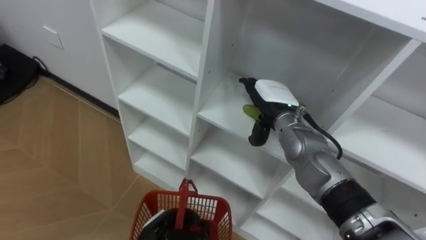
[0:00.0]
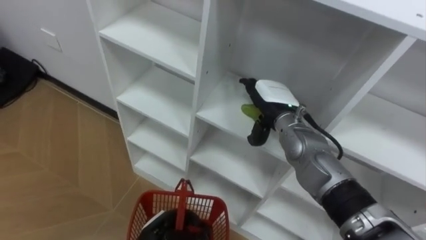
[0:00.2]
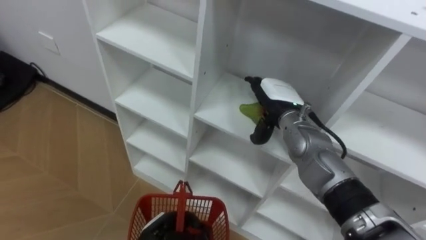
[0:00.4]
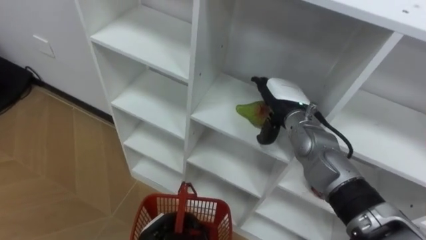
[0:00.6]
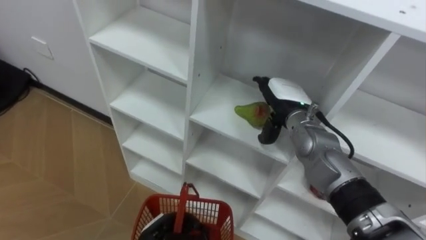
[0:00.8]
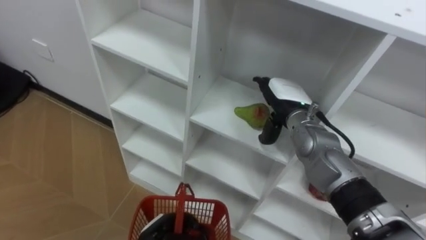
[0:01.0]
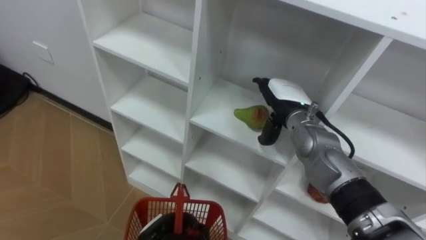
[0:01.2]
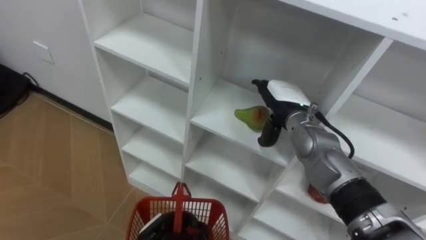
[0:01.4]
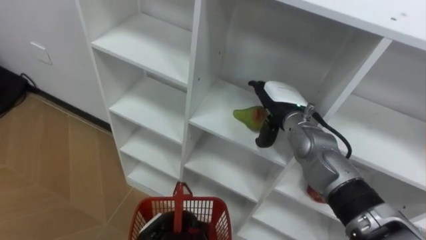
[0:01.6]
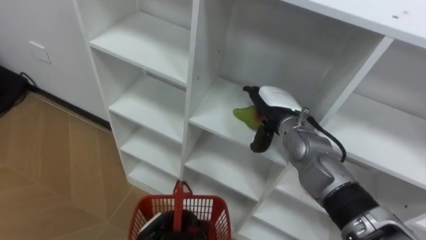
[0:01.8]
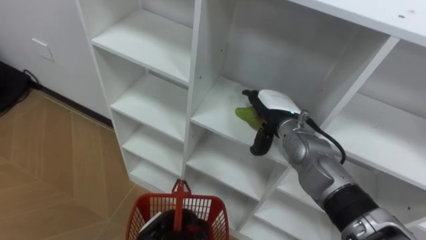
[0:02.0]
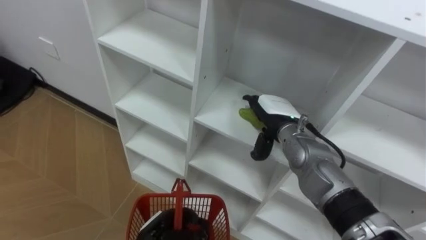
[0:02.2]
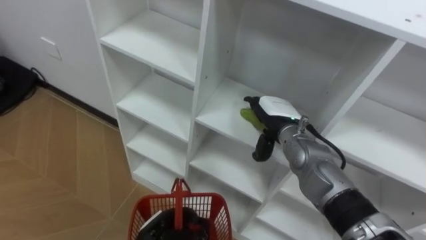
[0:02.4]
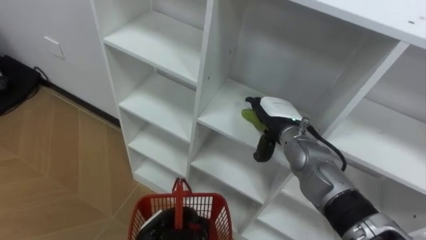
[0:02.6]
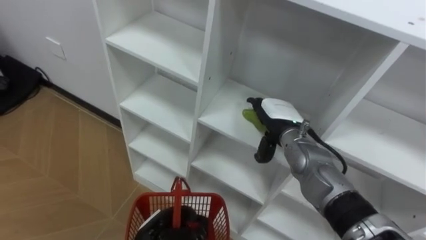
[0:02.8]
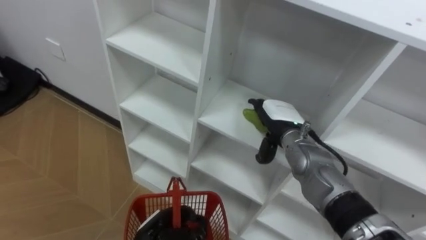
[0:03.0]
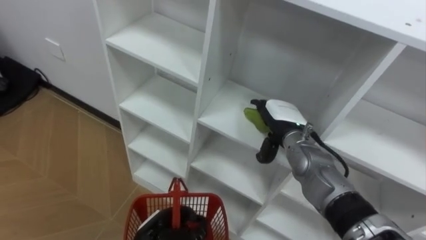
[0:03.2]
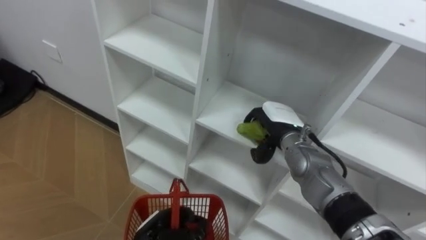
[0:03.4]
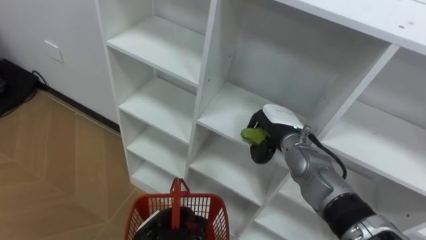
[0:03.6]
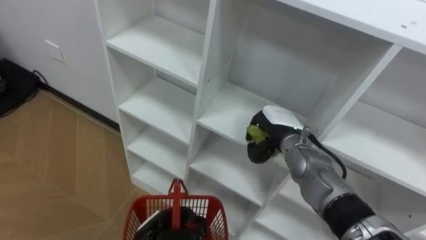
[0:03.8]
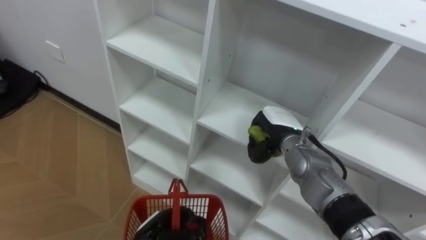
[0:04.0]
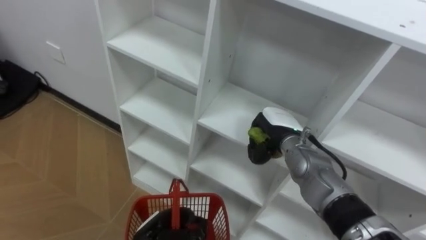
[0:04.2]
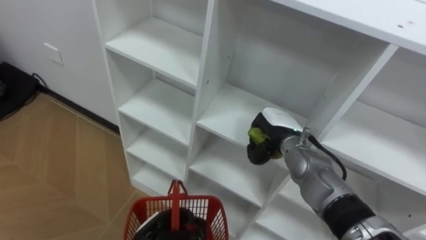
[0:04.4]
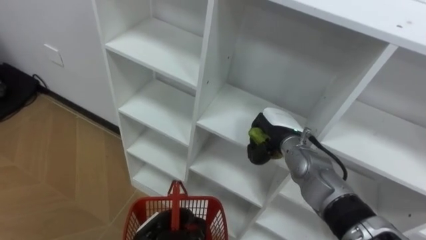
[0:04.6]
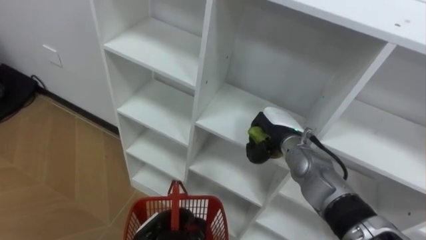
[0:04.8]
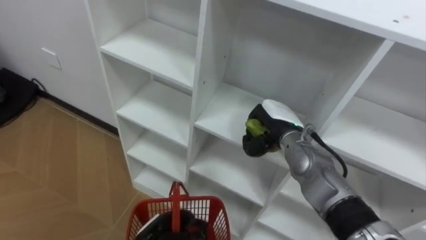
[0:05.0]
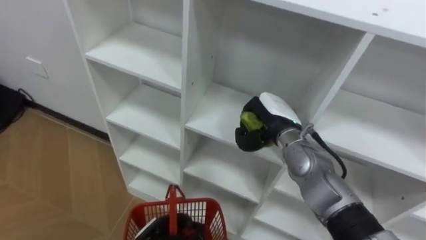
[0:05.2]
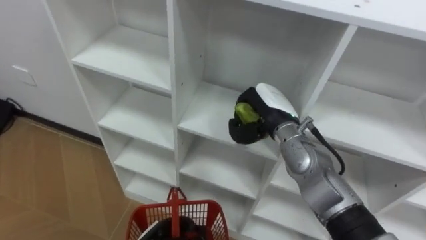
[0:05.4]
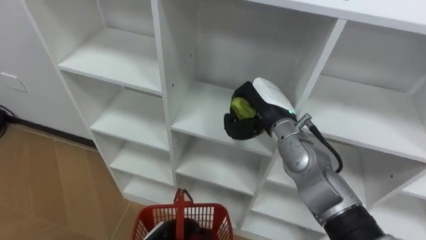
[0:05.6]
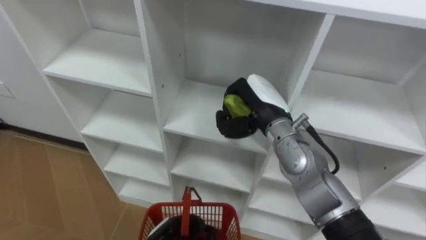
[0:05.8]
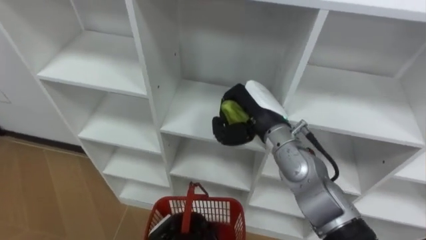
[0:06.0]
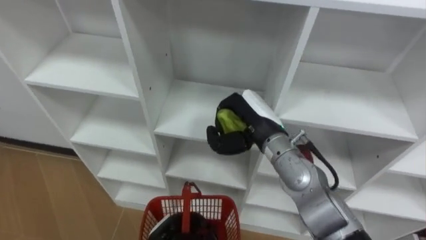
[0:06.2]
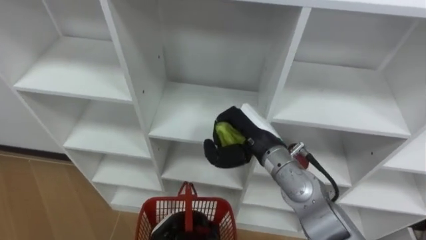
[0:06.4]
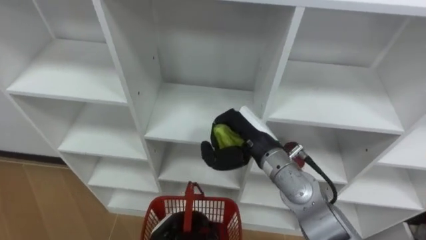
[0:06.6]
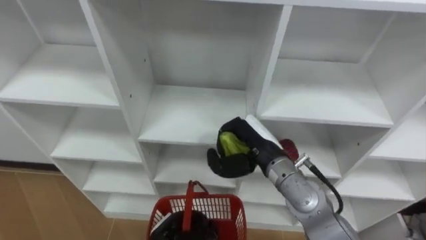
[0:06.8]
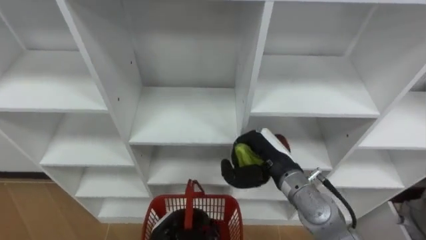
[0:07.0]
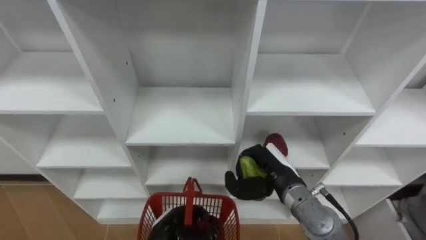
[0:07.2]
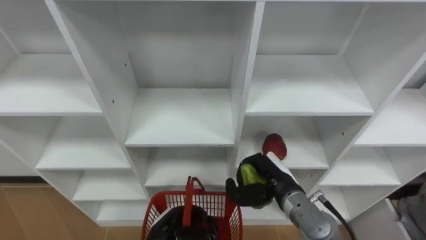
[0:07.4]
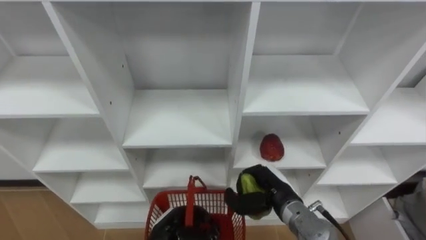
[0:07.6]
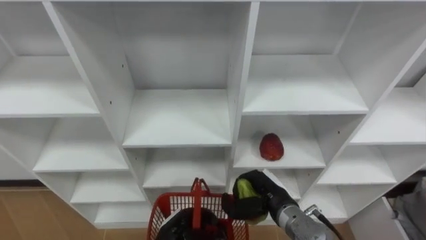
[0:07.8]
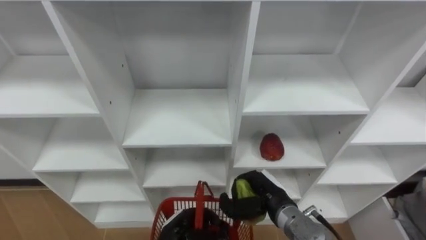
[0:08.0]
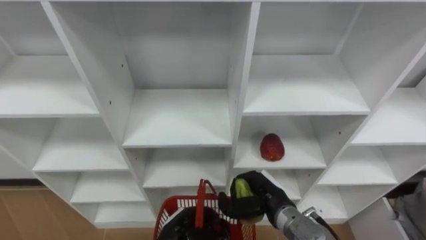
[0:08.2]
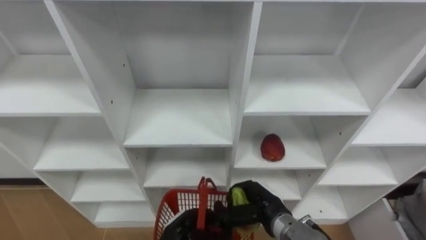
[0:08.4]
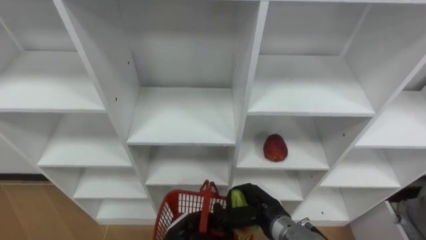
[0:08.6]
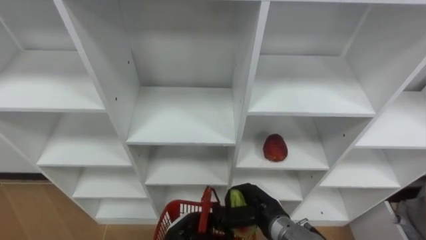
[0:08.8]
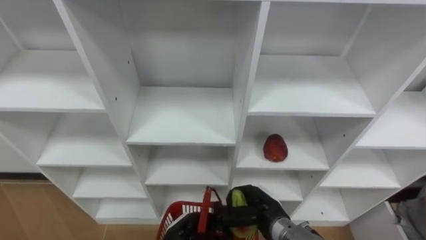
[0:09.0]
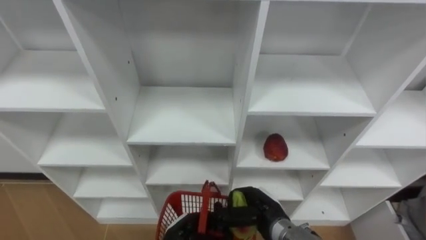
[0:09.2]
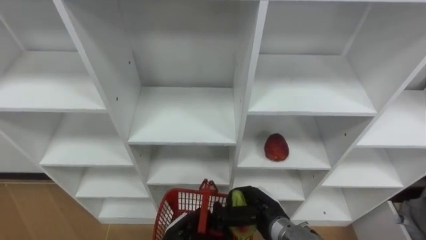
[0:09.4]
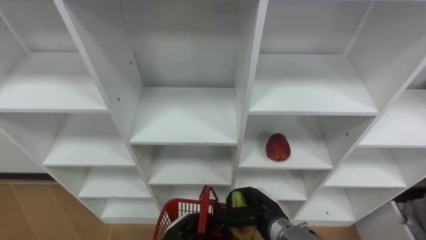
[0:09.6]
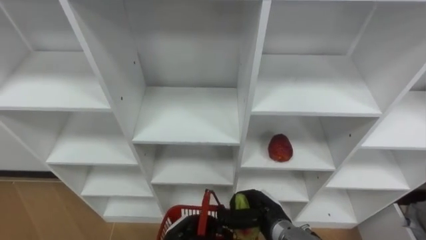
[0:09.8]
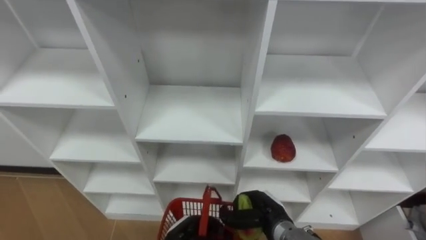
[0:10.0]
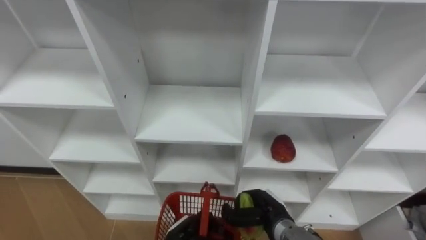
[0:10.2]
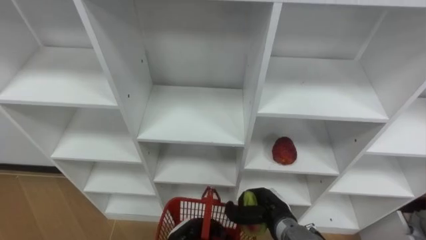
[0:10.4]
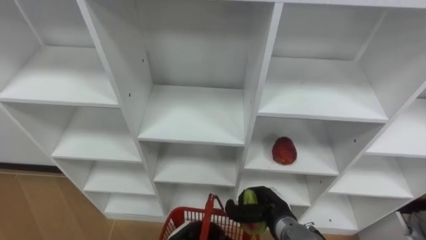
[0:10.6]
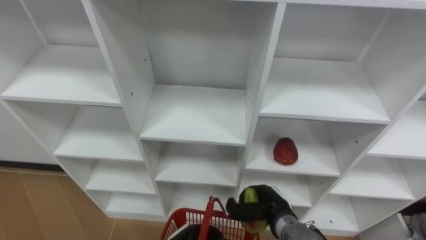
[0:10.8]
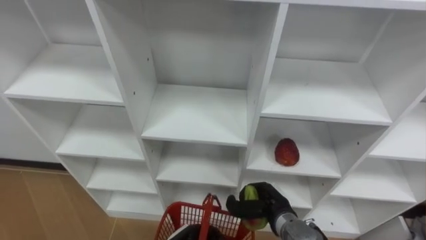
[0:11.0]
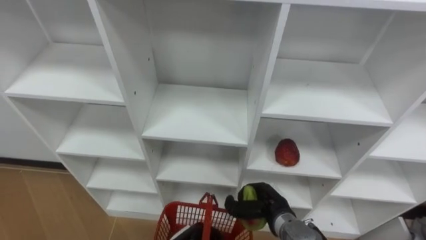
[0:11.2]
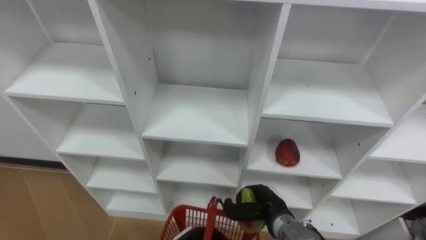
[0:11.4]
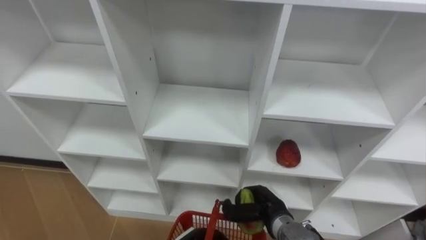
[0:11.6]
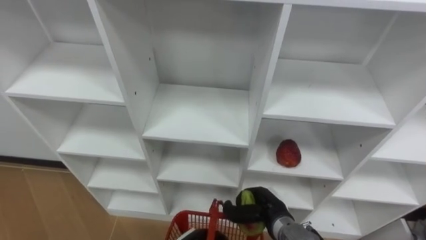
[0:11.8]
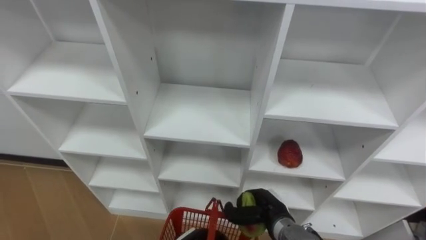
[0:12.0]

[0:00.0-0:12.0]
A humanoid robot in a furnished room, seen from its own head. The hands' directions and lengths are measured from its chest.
Task of the whole recording: Hold the basket and collect the fruits from 3 different cells of the closet into it.
0:03.0 to 0:04.4: The right hand closes.
0:04.4 to 0:06.0: The right hand heads upward, covering some 10 cm.
0:06.0 to 0:07.6: The right hand shifts roughly 15 cm downward and backward.
0:07.6 to 0:09.0: The right hand moves approximately 5 cm.

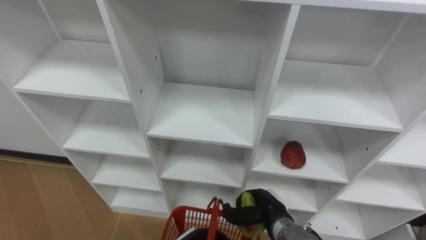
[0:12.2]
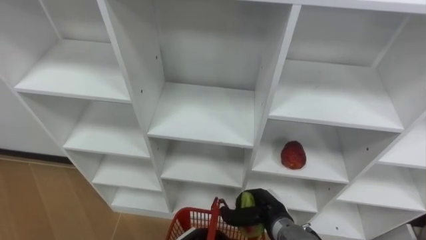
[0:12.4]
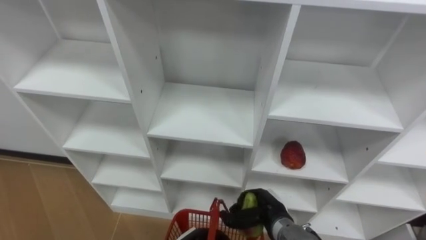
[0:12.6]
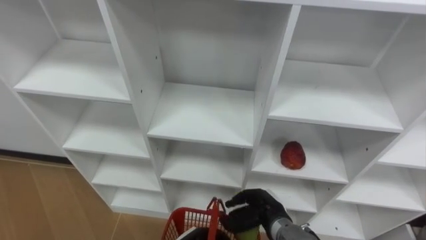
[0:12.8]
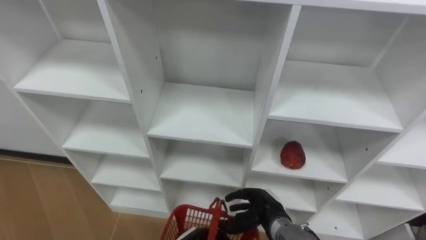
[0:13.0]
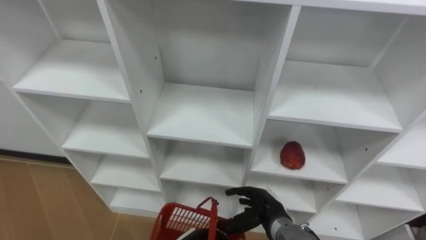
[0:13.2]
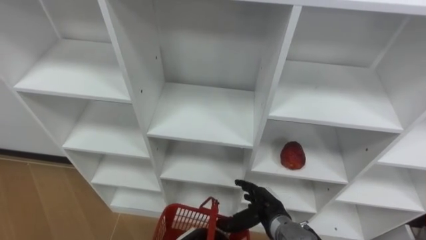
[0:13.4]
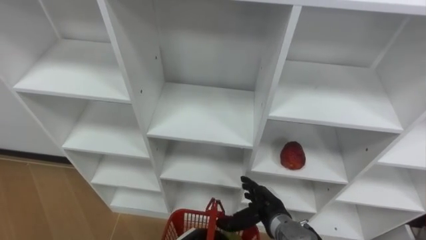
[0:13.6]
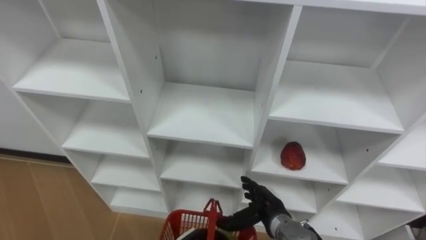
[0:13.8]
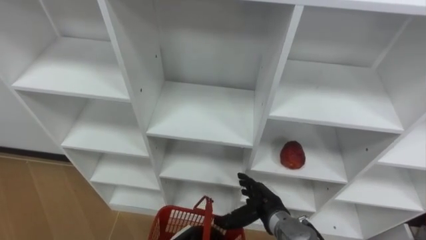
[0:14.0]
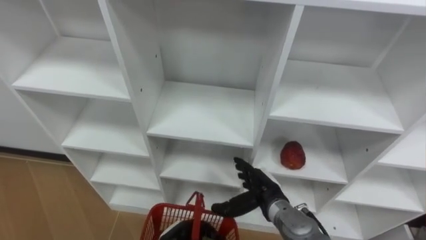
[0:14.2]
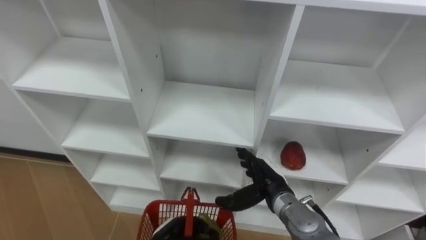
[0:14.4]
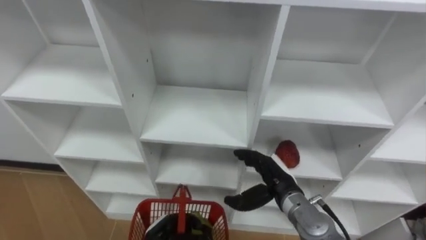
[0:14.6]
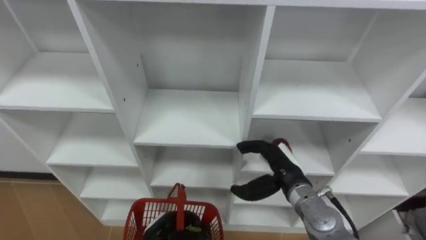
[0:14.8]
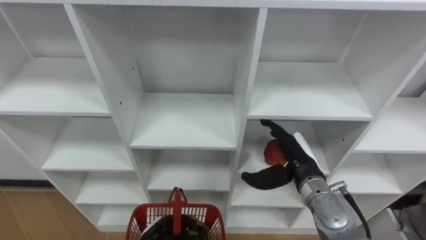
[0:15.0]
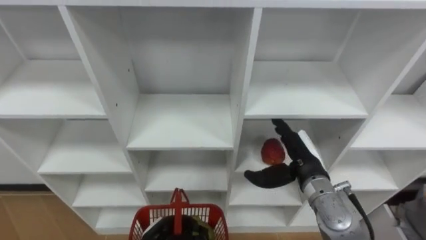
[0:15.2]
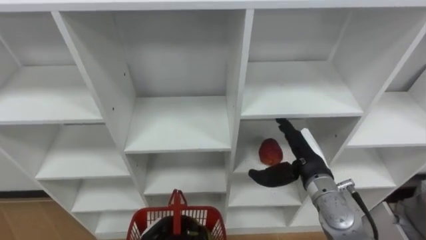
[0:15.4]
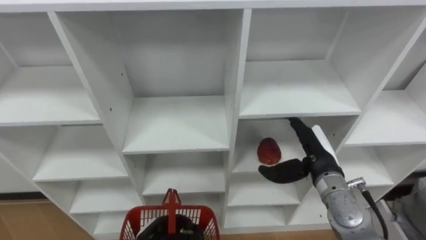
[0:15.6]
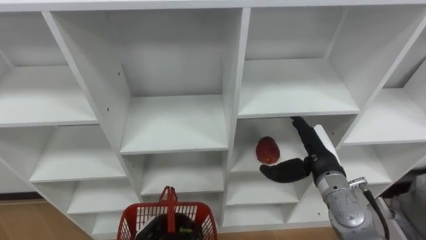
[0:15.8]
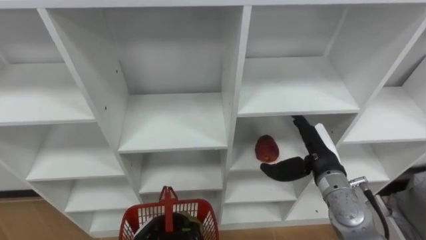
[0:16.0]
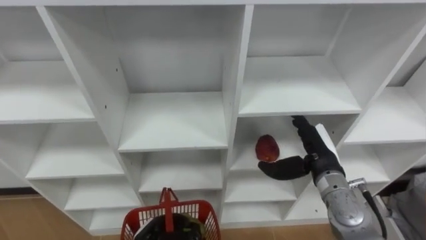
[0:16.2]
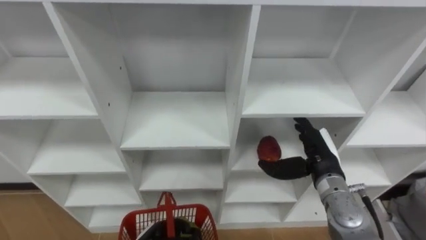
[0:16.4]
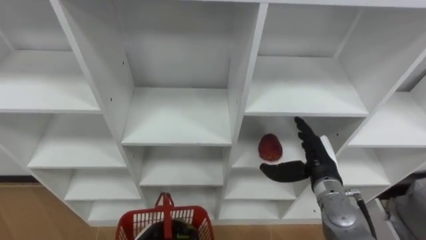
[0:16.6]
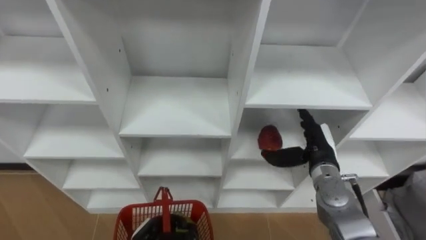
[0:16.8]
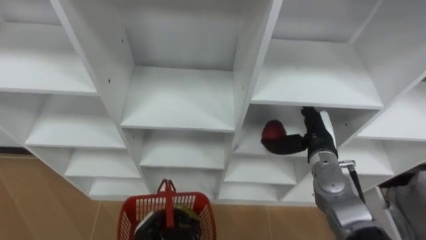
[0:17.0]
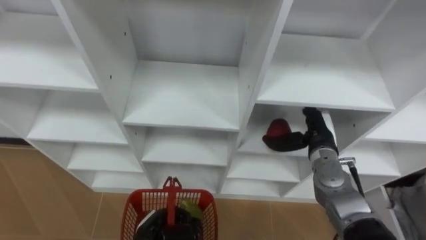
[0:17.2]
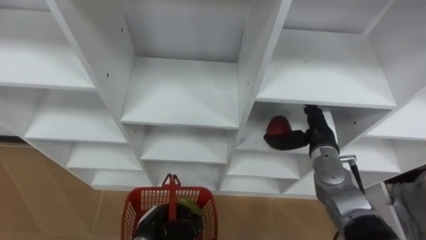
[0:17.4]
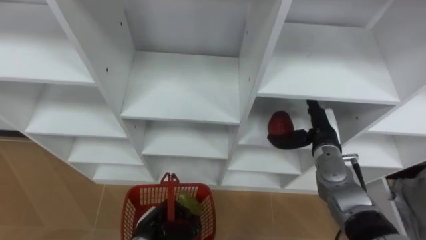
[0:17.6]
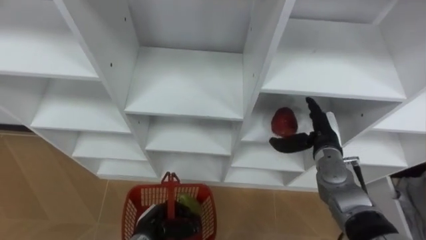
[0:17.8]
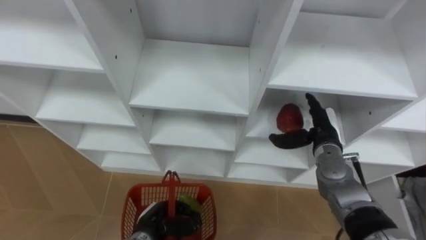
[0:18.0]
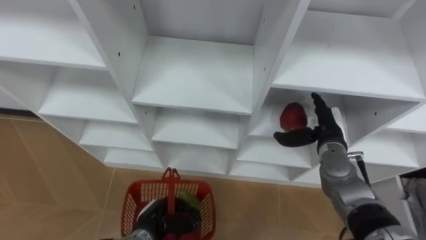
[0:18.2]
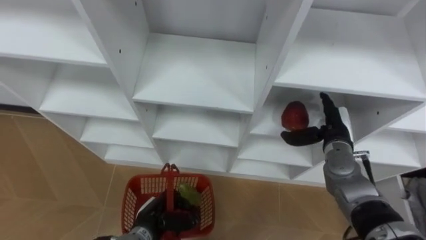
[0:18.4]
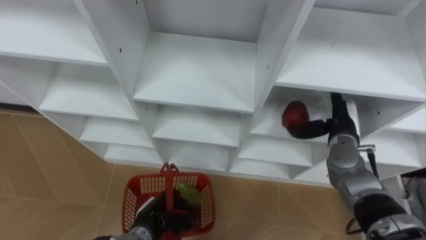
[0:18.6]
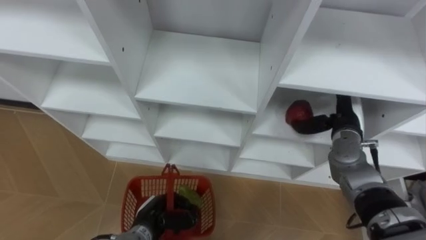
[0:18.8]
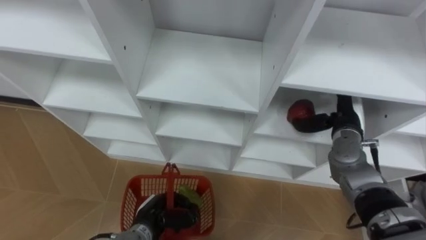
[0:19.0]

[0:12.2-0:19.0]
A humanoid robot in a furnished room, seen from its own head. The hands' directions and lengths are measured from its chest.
Task of the whole recording: Hold the basket and collect the fruits from 3 different cells of the closet into it.
0:12.2 to 0:13.6: The right hand opens up.
0:13.6 to 0:15.0: The right hand travels upward, forward and to the right by some 15 cm.
0:16.2 to 0:17.6: The right hand goes approximately 5 cm forward.
0:17.6 to 0:19.0: The right hand ends up some 5 cm from where it was.
